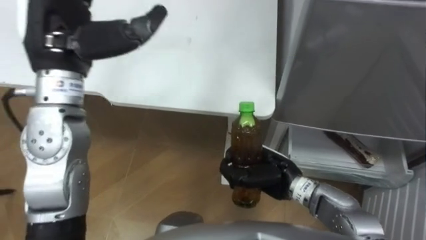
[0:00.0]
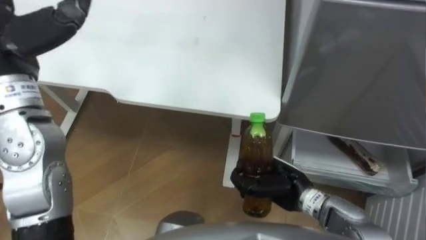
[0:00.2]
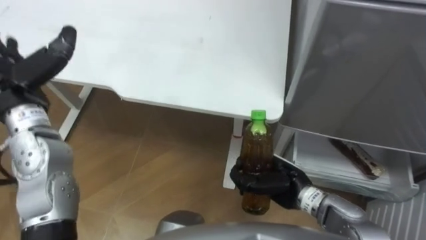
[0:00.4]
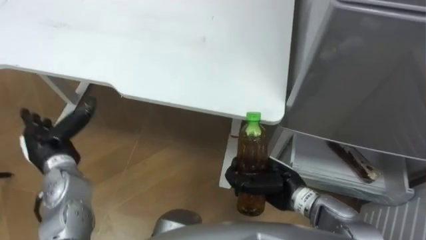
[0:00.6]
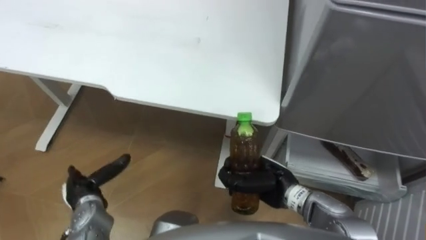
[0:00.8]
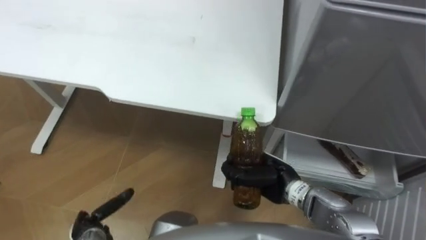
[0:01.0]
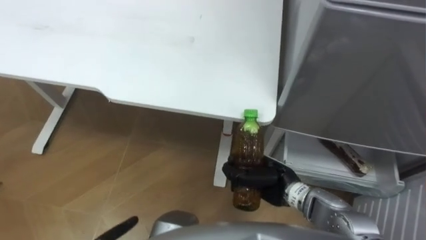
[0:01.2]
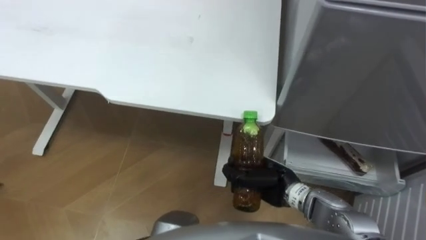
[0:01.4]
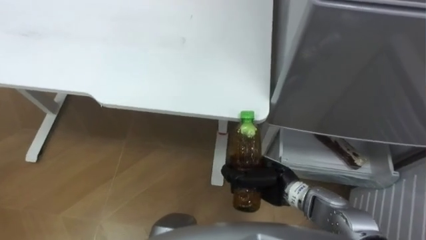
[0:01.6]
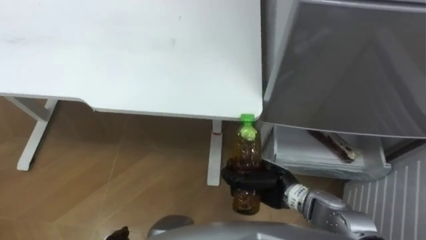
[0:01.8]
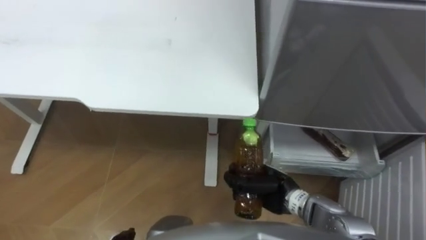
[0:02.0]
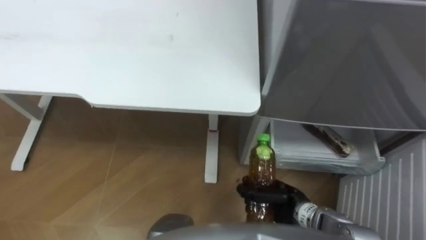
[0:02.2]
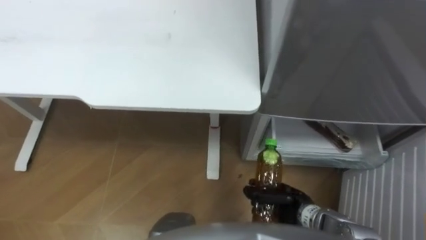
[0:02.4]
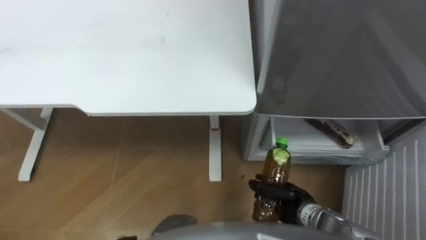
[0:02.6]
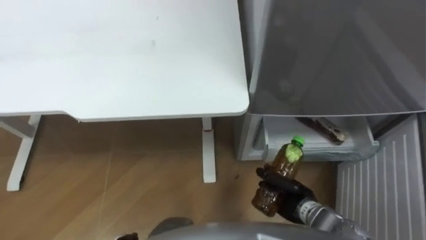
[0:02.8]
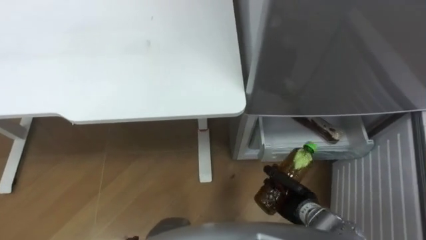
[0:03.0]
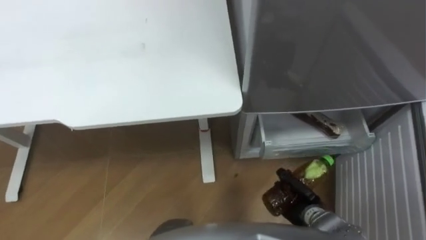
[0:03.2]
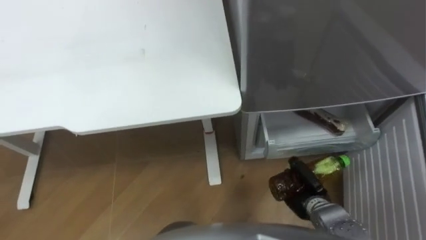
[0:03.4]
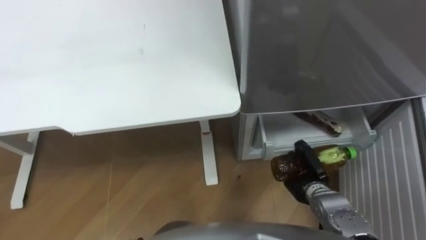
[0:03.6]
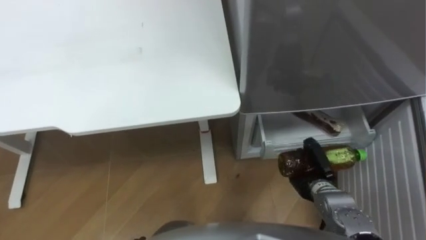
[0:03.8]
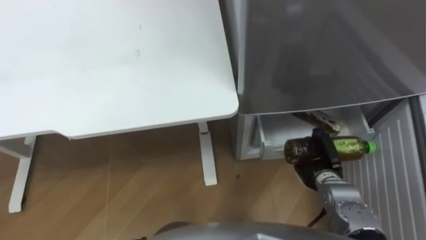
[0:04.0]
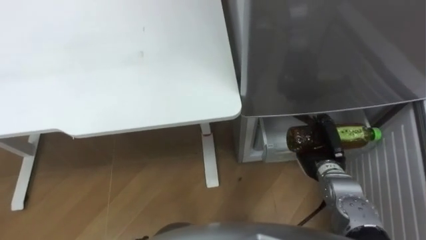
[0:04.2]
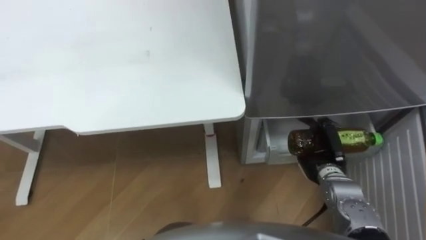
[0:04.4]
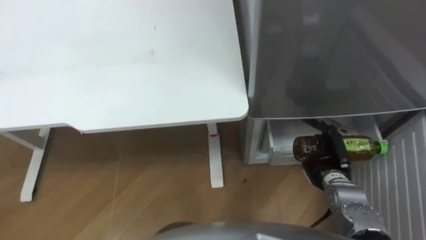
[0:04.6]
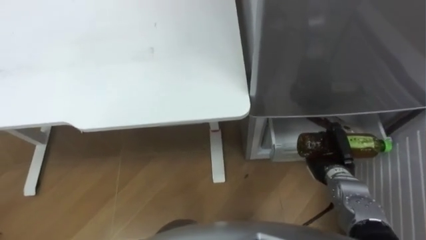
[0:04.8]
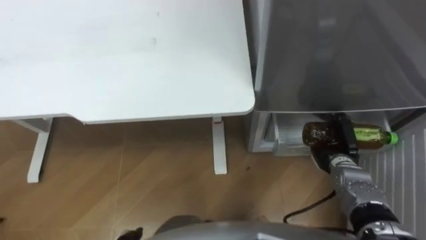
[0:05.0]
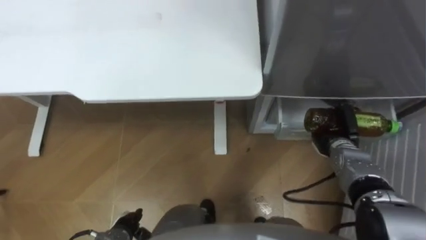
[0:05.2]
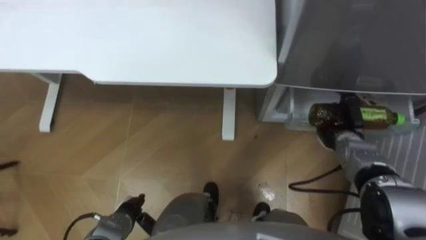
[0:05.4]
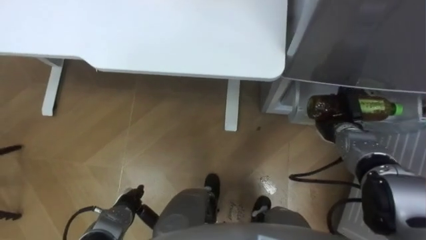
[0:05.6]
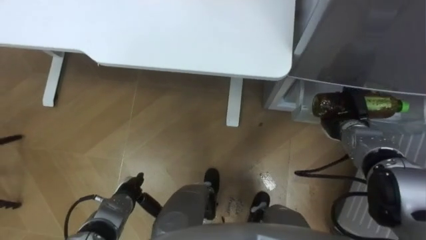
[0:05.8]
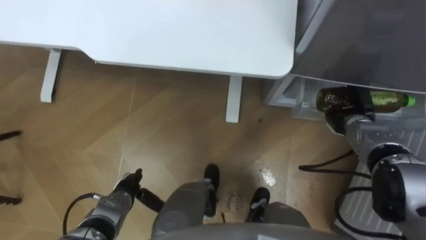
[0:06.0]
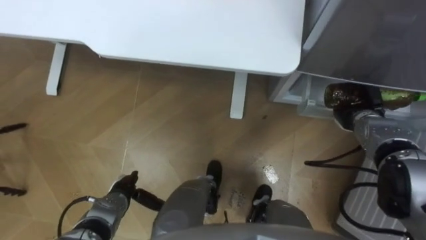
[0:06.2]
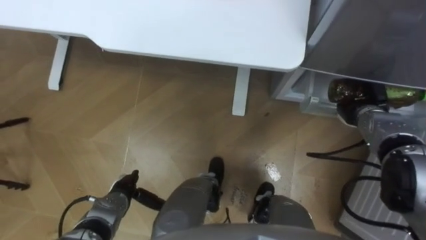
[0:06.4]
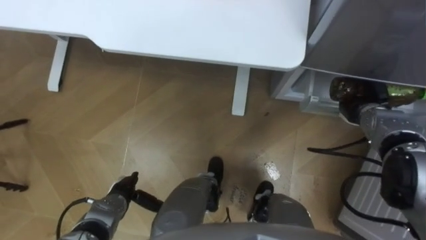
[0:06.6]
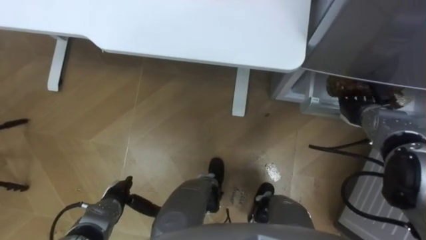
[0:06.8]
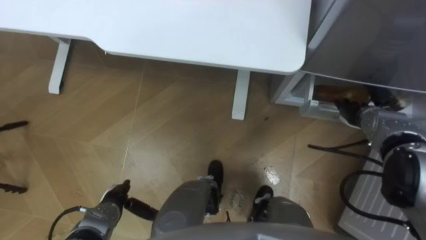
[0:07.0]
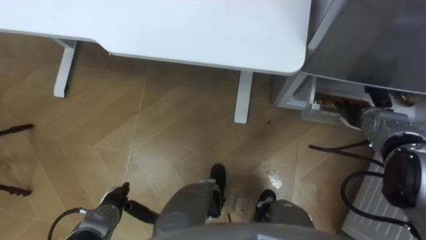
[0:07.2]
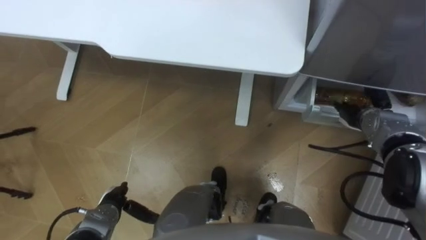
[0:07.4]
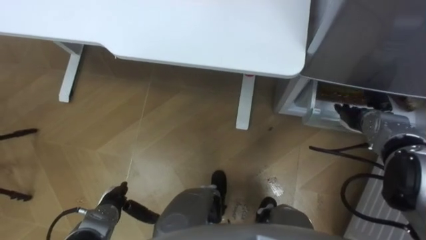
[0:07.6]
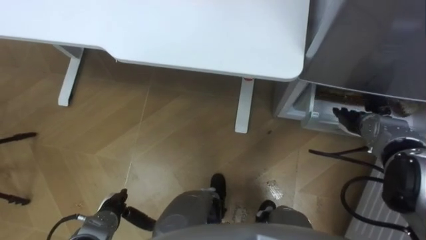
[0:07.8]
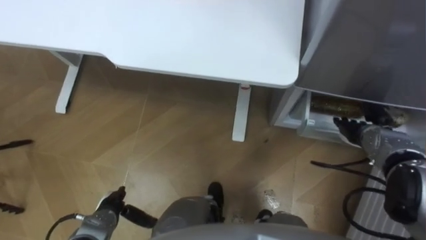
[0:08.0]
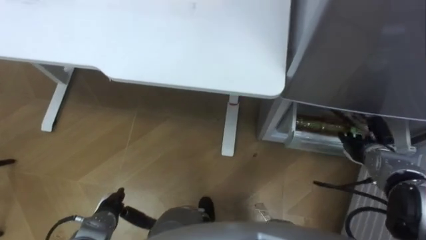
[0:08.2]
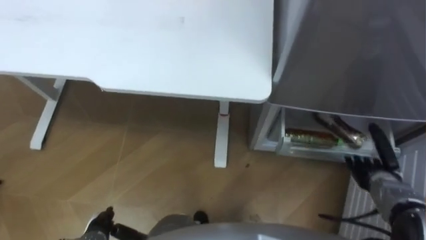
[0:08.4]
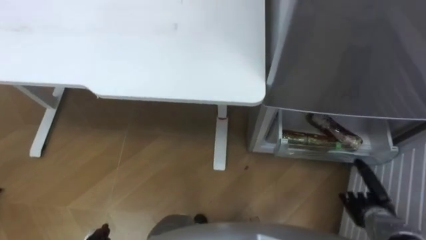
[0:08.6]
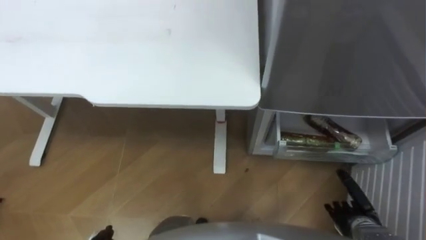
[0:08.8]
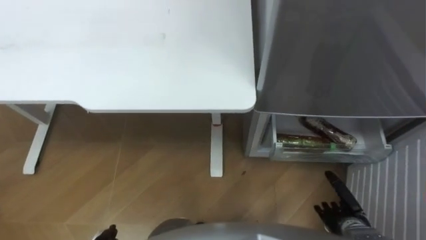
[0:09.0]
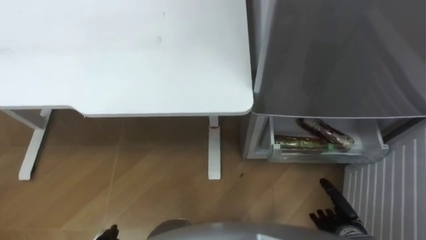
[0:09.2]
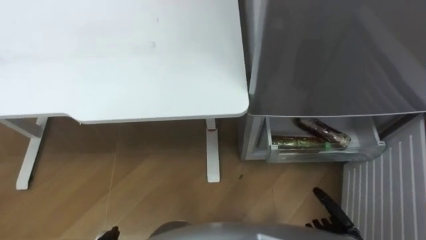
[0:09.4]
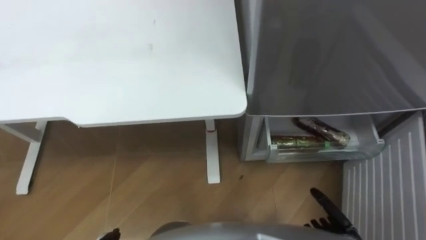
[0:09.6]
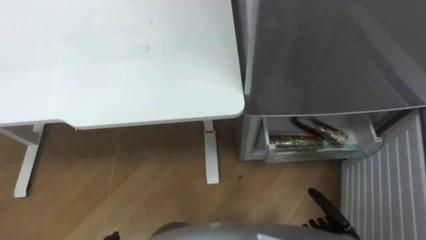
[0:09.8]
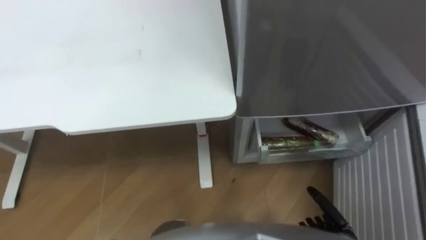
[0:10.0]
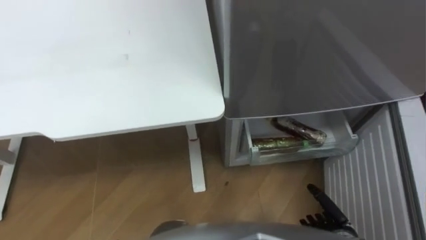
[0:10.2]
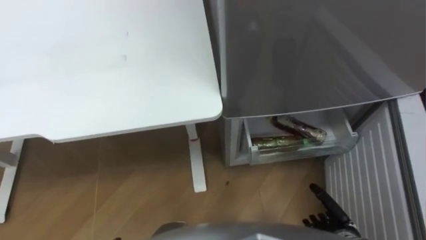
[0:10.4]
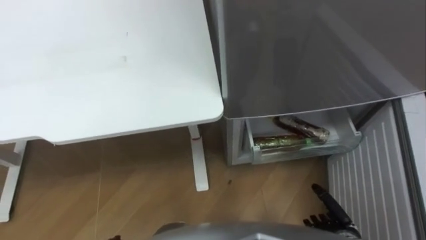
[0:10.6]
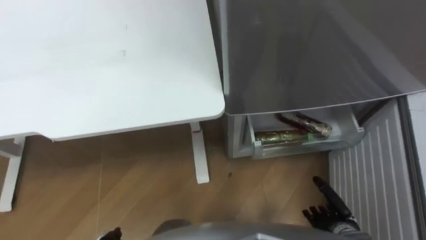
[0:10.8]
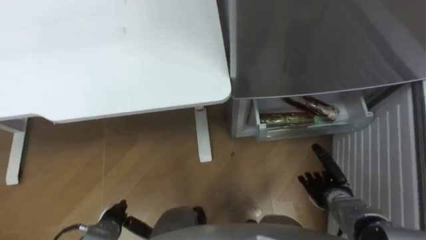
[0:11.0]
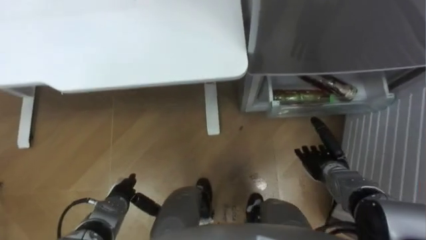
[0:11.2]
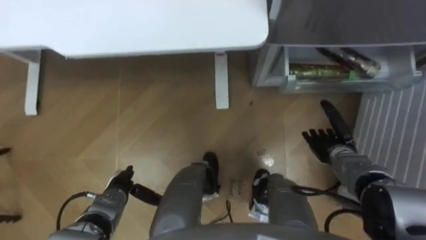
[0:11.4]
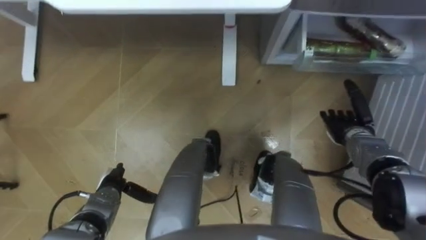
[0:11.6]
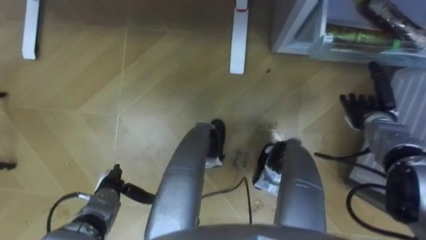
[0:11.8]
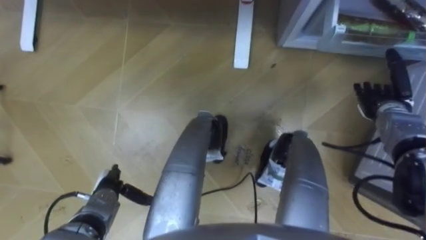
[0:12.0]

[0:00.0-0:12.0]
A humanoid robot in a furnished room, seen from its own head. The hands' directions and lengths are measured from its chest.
Task of the whole recording: Place the drink on the table on the bottom shelf of the refrigerator, then close the drawer and the refrigerator door.
0:01.6 to 0:03.0: The right hand is displaced downward and to the right by approximately 10 cm.
0:03.0 to 0:04.4: The right hand is displaced forward, to the right and upward by some 10 cm.
0:04.4 to 0:06.0: The right hand moves forward and to the right, approximately 10 cm.
0:06.0 to 0:07.6: The right hand opens.
0:07.6 to 0:09.0: The right hand moves backward and downward, about 25 cm.
0:10.4 to 0:12.0: The right hand is displaced forward and upward by approximately 30 cm.

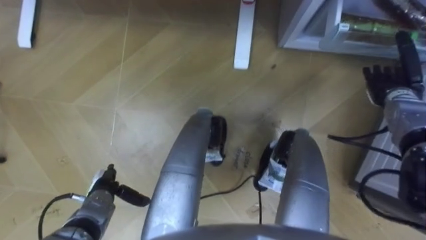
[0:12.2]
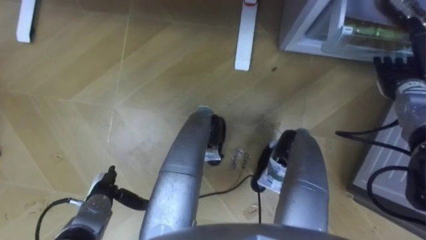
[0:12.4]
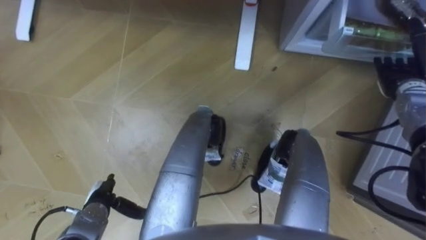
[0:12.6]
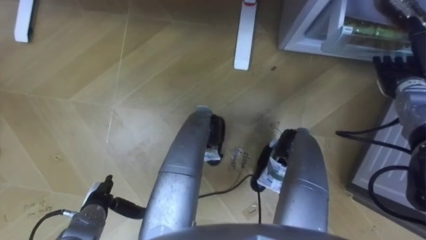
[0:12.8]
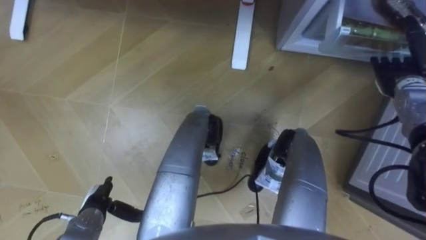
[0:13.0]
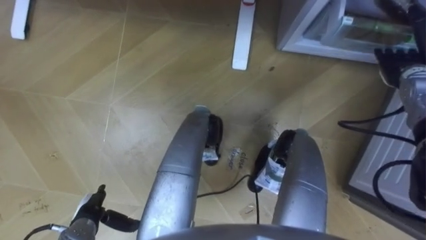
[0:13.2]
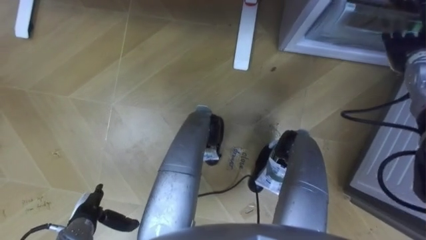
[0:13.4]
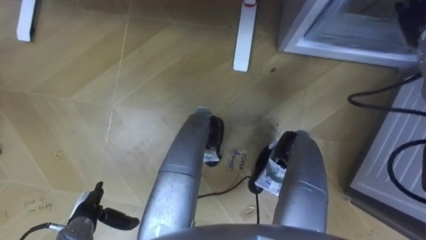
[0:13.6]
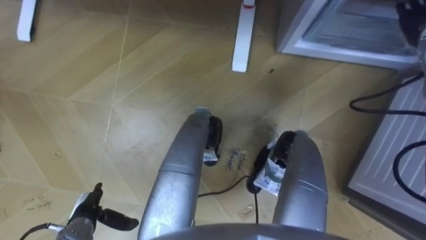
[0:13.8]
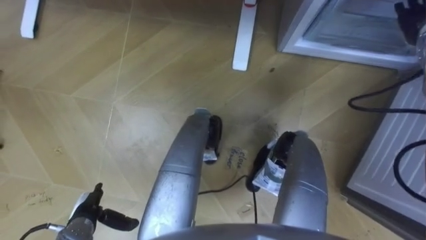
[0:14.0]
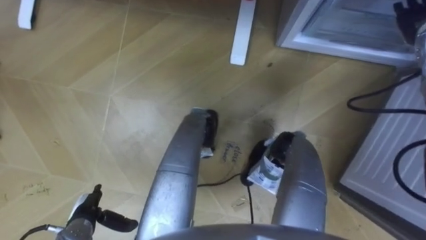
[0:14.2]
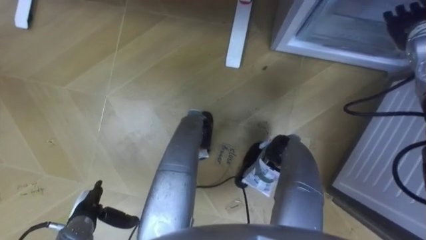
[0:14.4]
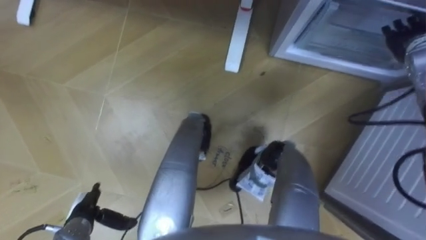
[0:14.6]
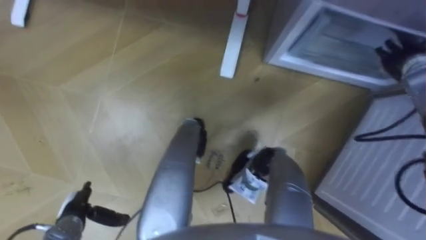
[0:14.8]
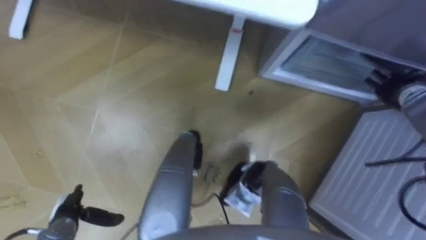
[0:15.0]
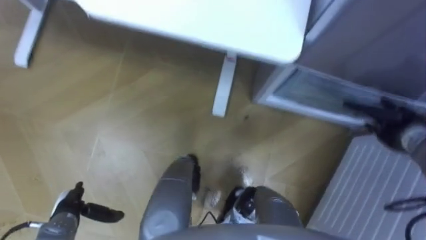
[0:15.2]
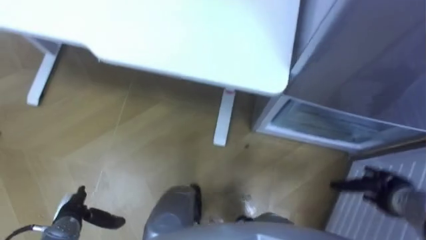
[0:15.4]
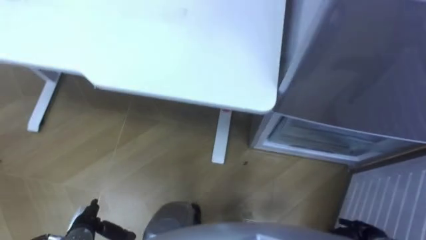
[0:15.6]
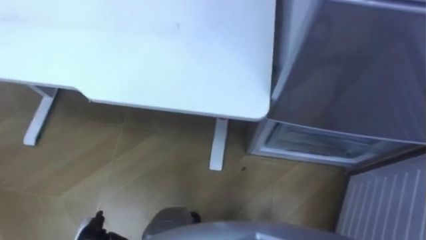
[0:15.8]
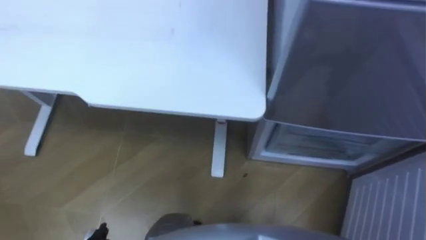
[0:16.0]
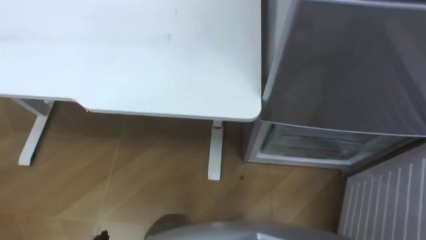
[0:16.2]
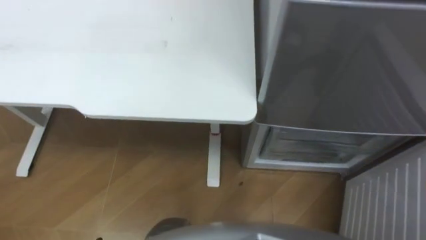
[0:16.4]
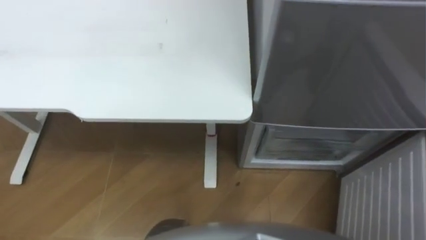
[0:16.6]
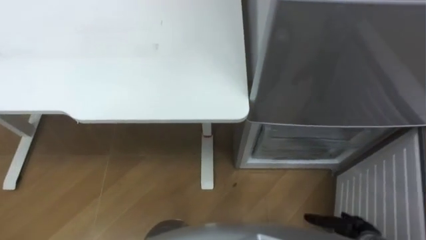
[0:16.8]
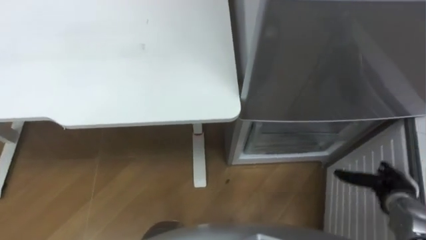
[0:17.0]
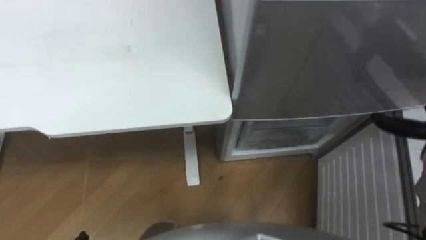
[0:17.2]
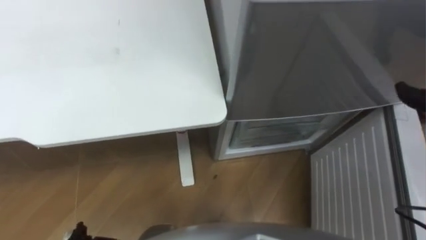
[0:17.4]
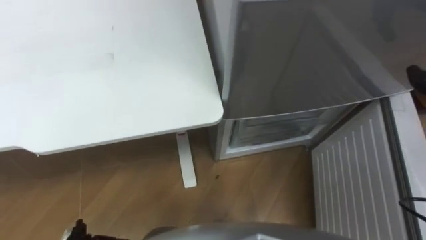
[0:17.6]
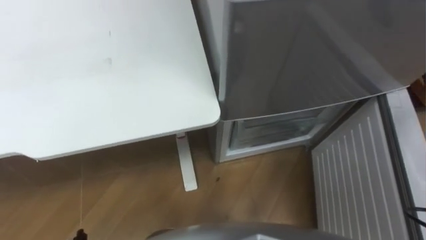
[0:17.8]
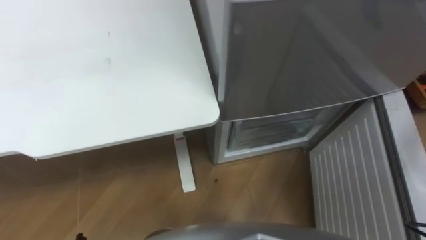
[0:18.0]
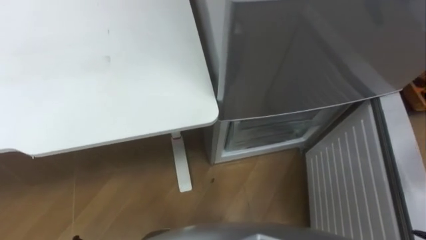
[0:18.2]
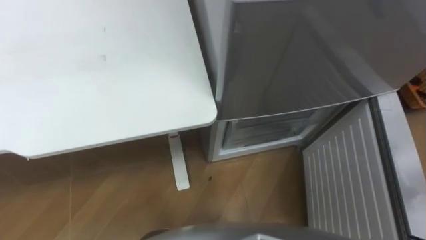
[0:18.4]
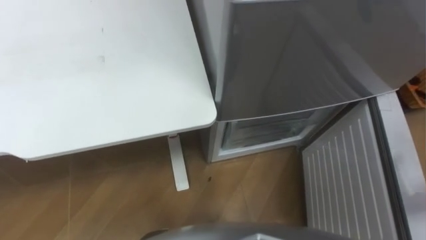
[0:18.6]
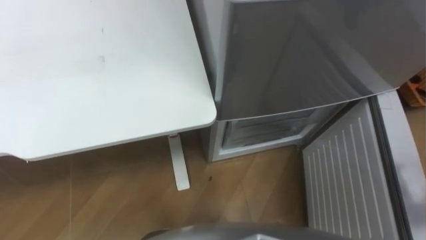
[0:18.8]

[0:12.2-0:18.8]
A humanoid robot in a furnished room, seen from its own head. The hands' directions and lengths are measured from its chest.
Task of the whole recording: Place the drink on the table on the bottom shelf of the refrigerator, then close the drawer and the refrigerator door.
0:12.2 to 0:13.8: The right hand goes roughly 15 cm upward and forward. Meanwhile the left hand moves backward, approximately 5 cm.
0:13.8 to 0:15.4: The right hand shifts roughly 35 cm backward and downward.
